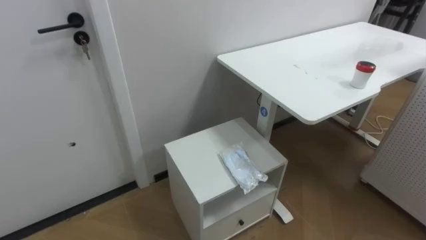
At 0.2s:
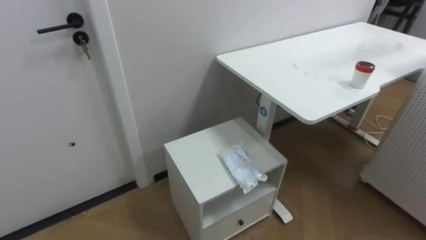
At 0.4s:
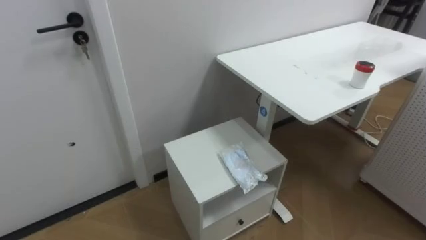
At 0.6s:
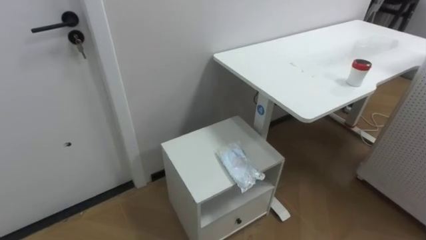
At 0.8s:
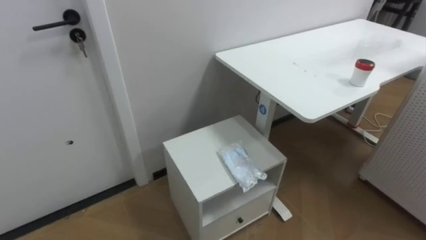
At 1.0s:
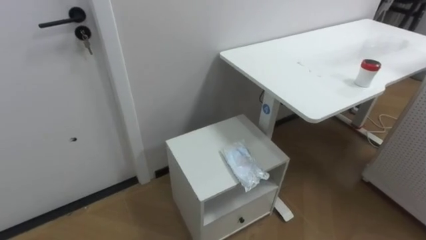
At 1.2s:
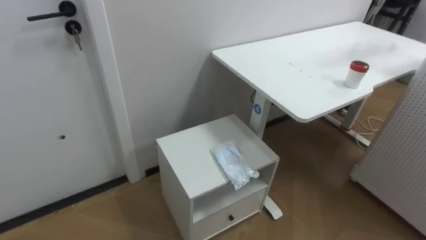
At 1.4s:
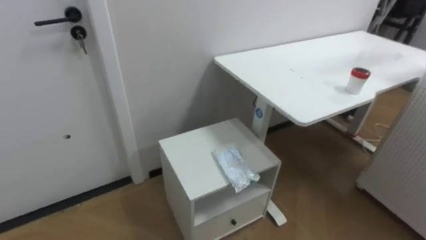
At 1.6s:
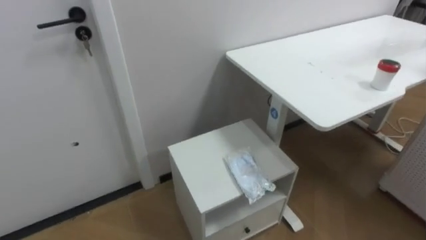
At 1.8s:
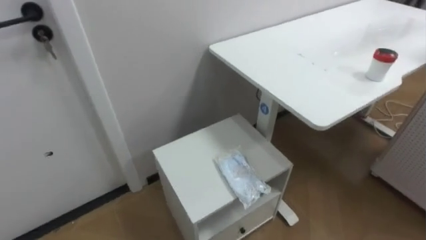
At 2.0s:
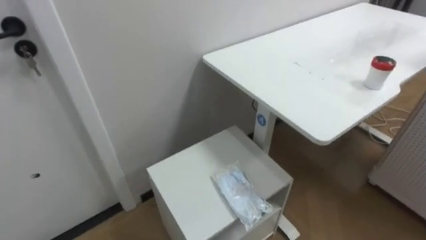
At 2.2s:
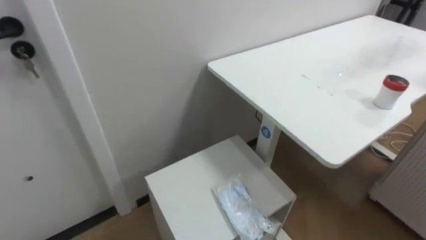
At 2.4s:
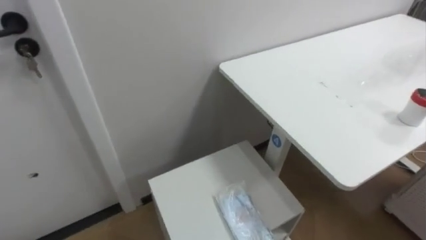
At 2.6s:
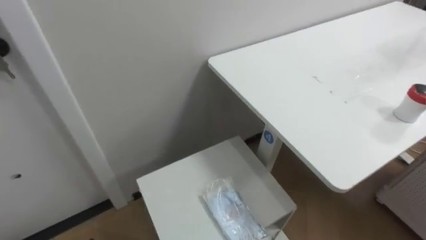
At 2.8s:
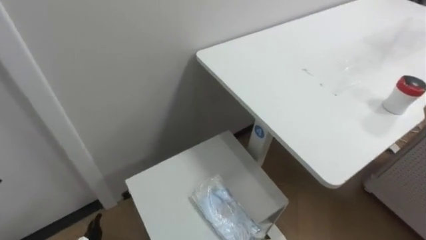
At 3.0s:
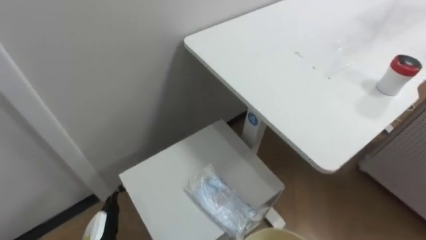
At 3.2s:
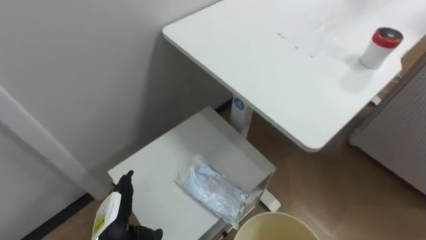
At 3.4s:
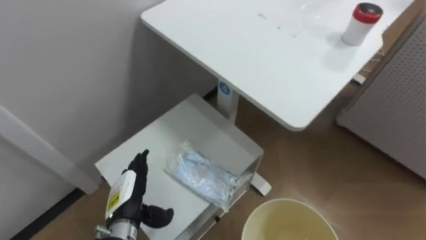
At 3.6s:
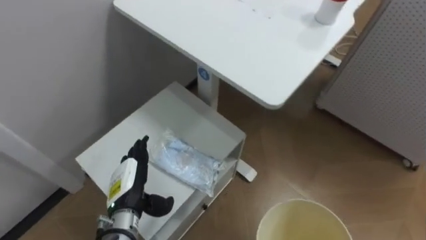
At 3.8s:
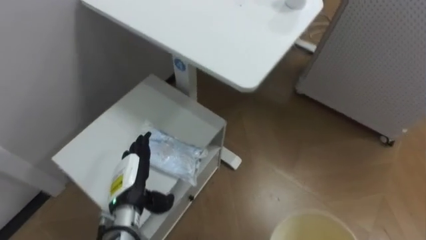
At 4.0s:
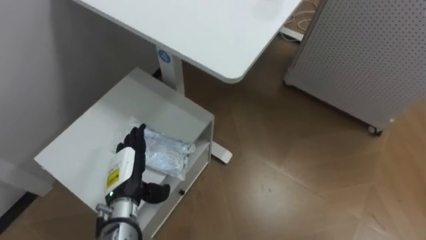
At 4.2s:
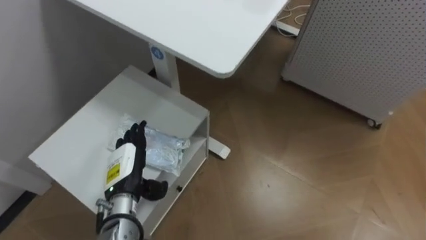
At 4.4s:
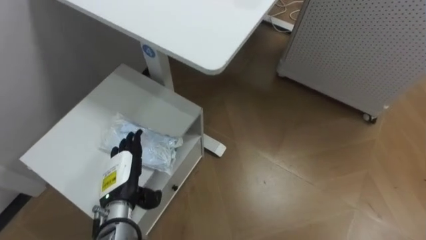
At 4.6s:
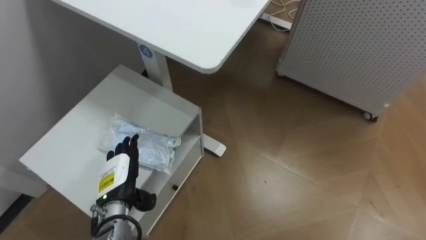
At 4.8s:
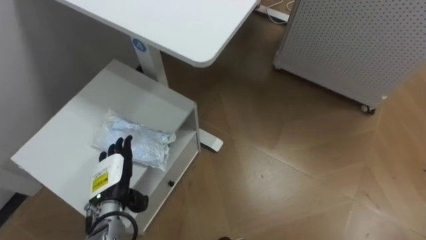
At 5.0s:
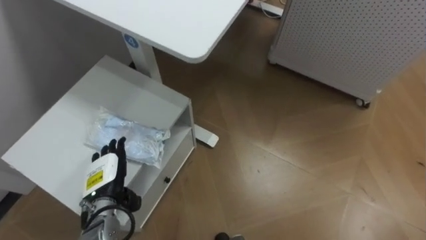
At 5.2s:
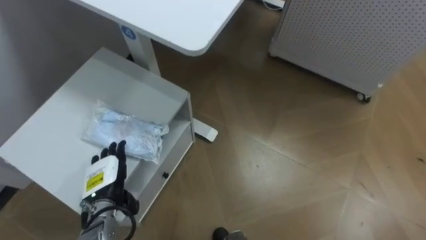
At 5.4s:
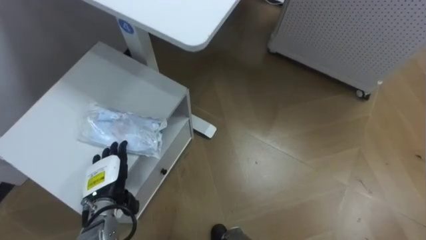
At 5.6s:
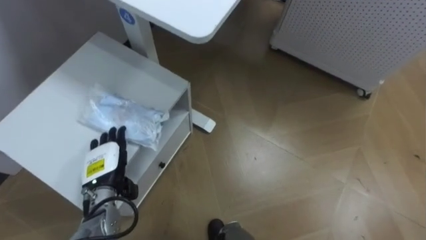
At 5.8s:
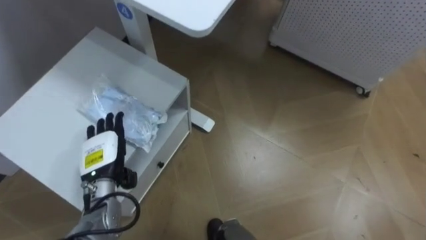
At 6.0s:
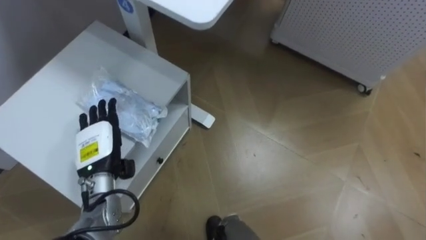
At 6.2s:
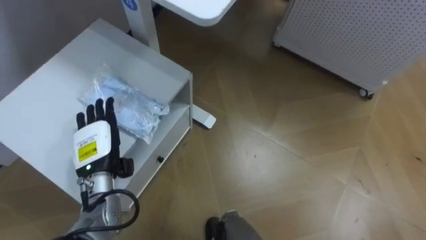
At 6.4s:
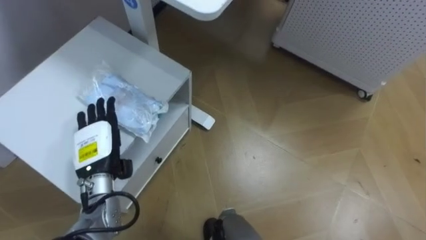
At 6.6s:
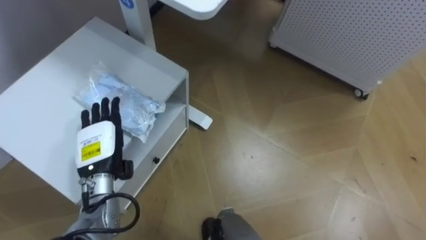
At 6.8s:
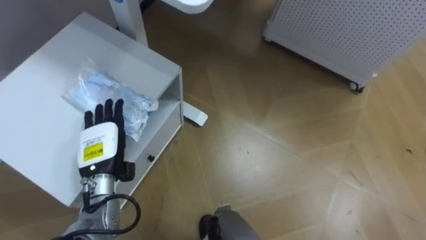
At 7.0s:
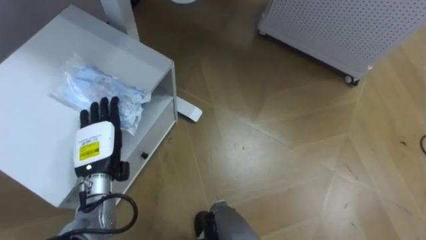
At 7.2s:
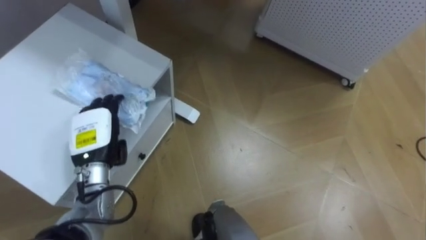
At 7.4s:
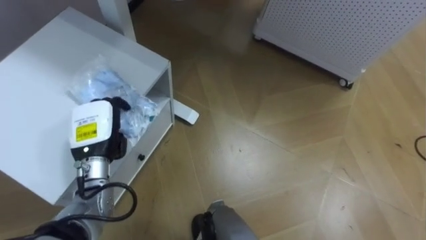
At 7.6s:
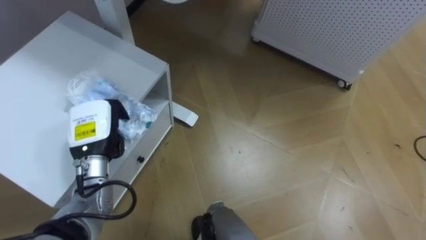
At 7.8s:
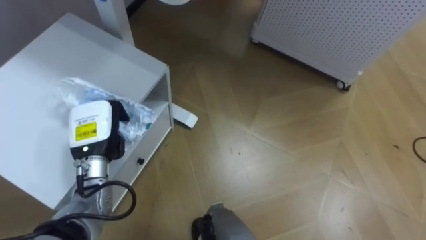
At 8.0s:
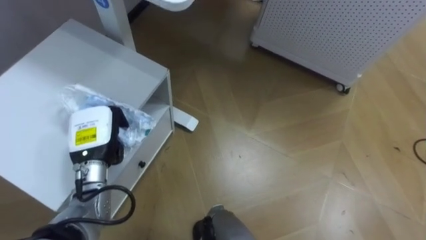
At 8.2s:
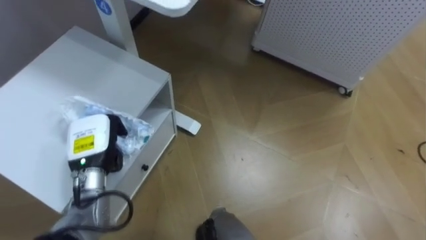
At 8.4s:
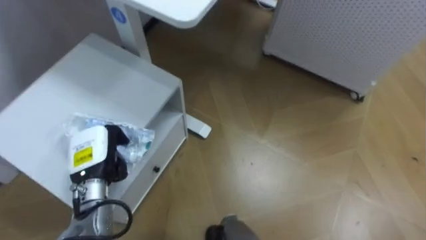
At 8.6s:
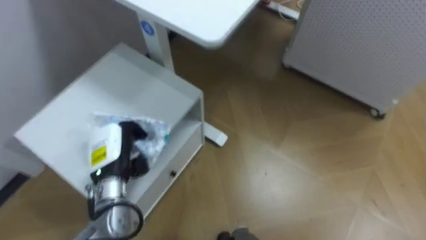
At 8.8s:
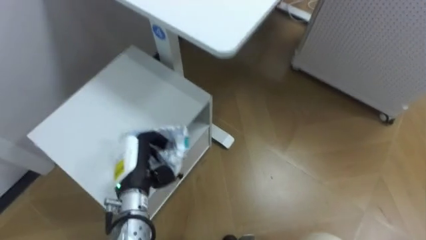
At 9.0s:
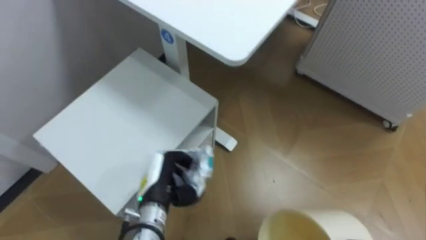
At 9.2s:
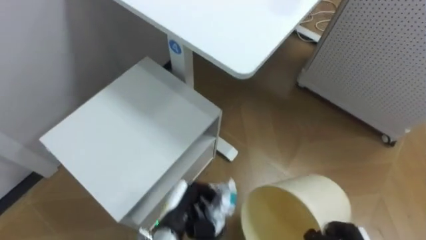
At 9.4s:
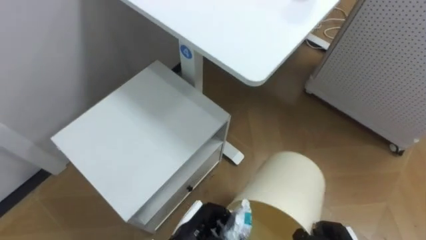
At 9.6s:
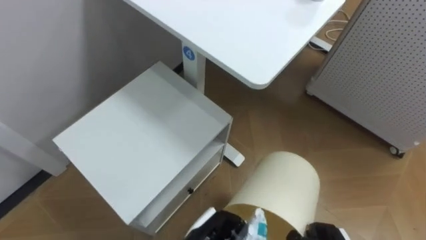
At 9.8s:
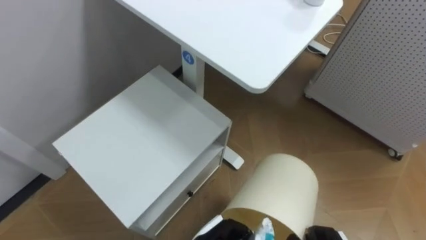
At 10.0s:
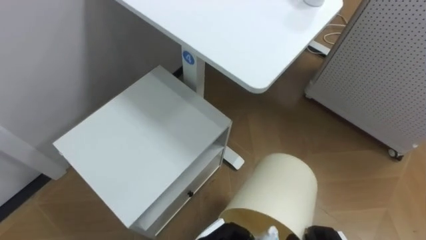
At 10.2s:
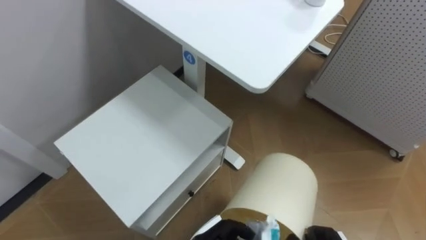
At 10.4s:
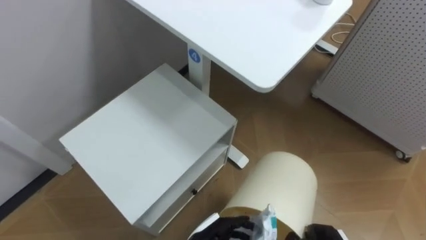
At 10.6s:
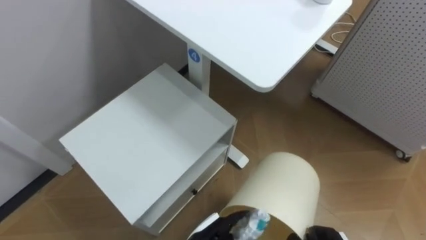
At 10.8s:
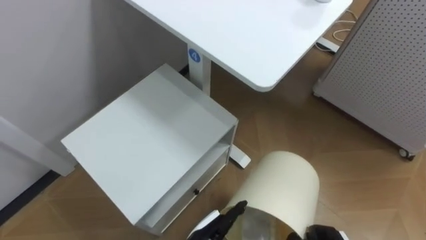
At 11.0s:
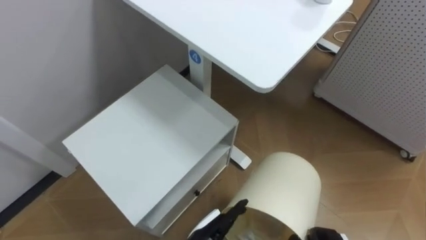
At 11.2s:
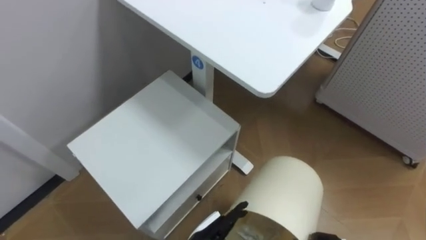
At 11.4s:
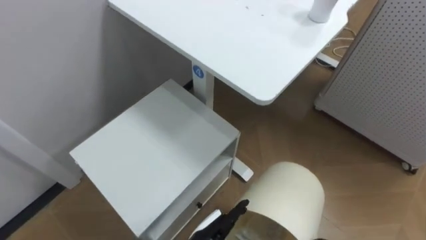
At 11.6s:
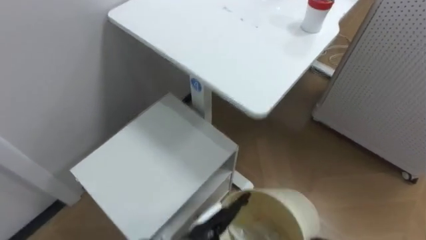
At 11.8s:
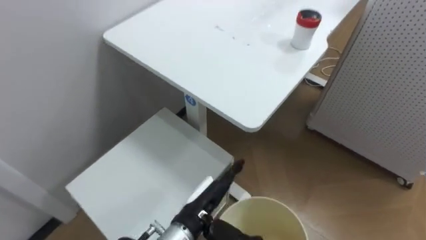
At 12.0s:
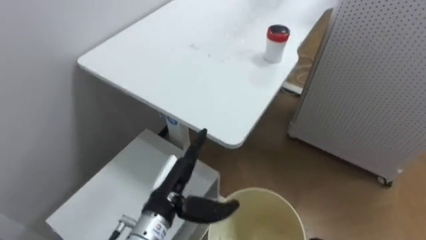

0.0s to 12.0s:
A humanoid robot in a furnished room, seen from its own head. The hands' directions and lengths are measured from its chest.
Task of the whole recording: Pick up the light blue package, the candy box, and the dark blue package separately, and put them into the trash can held in your right hand.
4.4s to 6.0s: The left hand moves upward, some 5 cm.
6.0s to 7.6s: The left hand closes.
7.6s to 9.0s: The left hand travels to the right, downward and backward by approximately 15 cm.
10.4s to 12.0s: The left hand travels upward and to the left by approximately 15 cm.

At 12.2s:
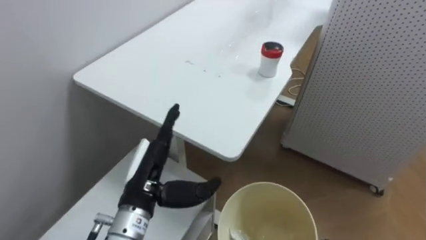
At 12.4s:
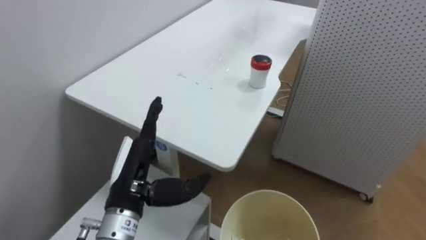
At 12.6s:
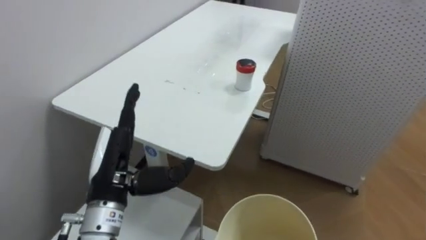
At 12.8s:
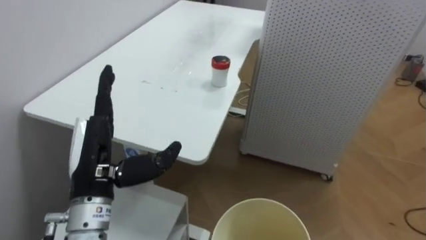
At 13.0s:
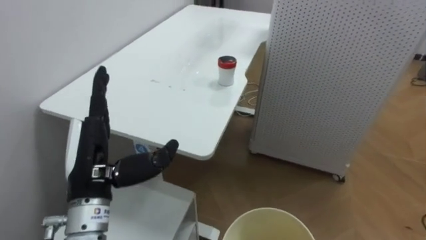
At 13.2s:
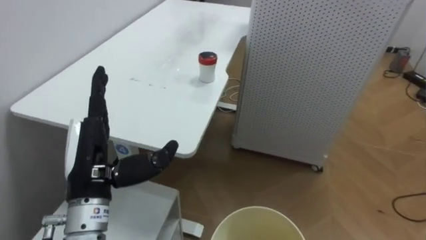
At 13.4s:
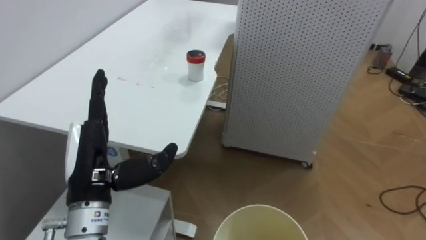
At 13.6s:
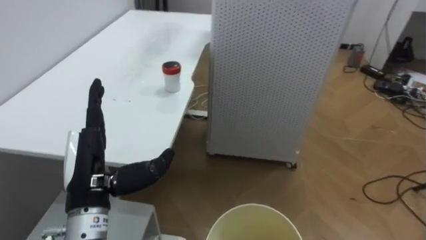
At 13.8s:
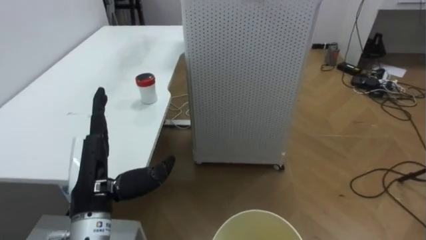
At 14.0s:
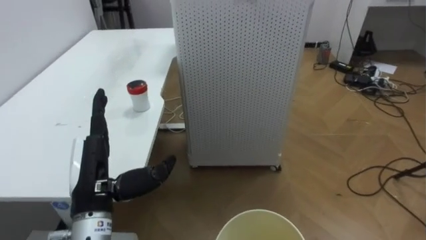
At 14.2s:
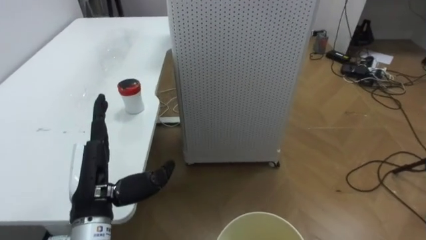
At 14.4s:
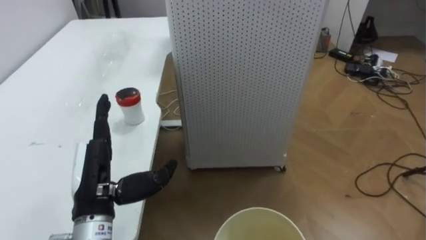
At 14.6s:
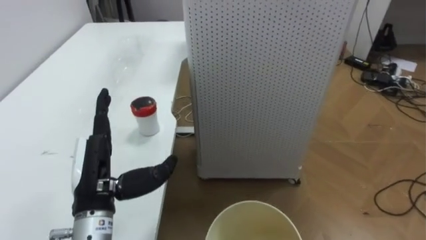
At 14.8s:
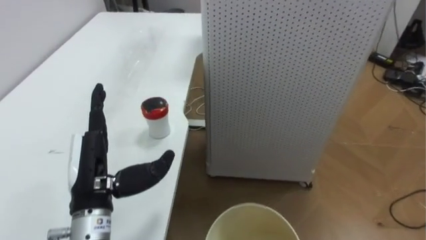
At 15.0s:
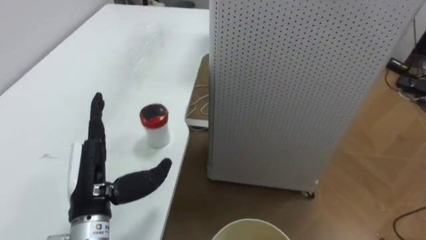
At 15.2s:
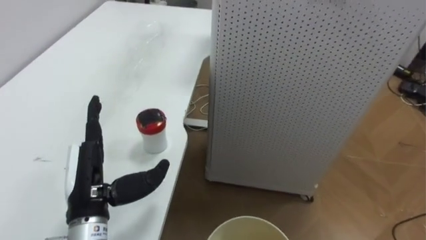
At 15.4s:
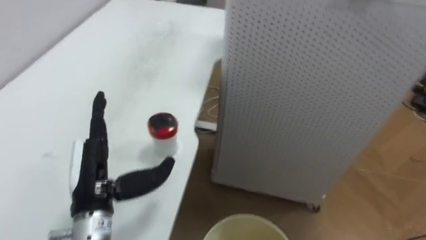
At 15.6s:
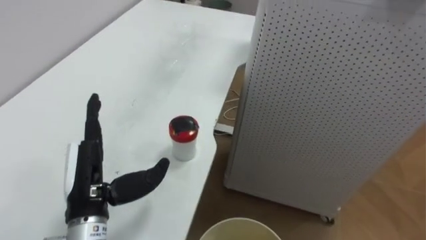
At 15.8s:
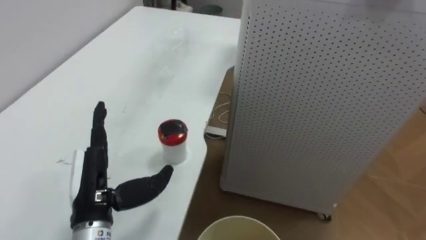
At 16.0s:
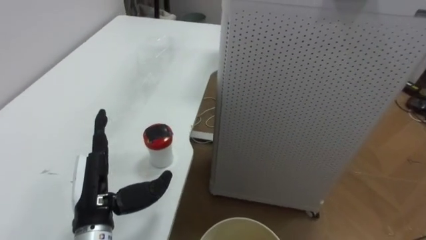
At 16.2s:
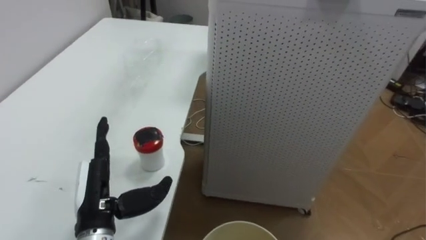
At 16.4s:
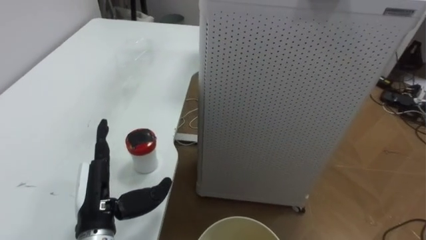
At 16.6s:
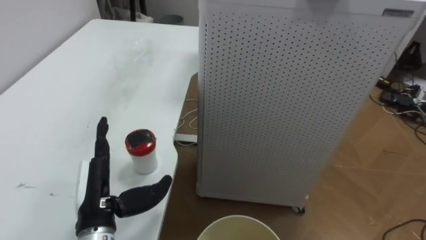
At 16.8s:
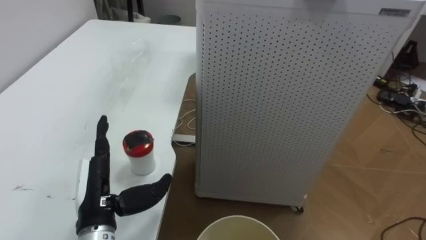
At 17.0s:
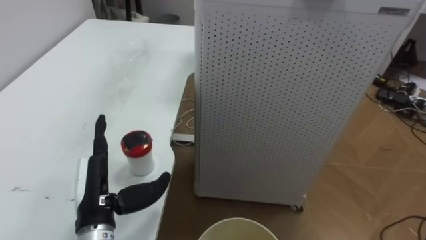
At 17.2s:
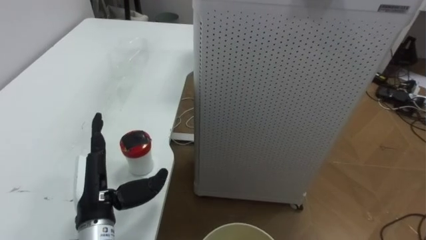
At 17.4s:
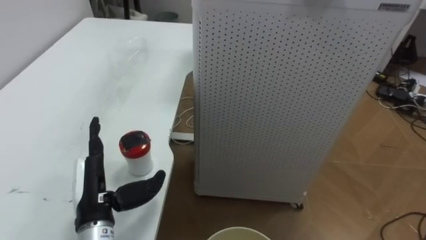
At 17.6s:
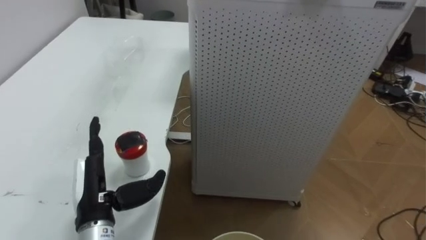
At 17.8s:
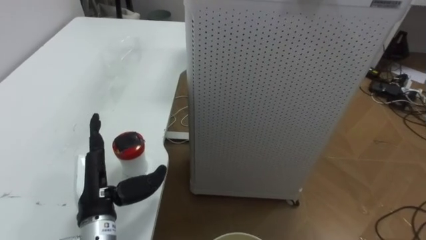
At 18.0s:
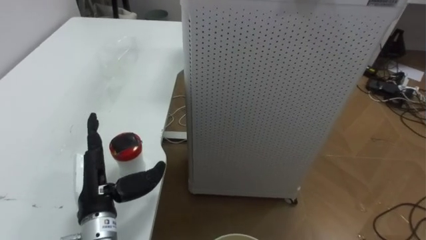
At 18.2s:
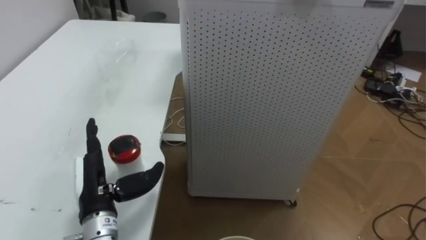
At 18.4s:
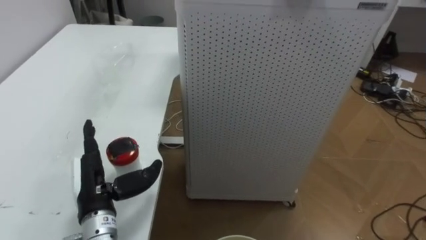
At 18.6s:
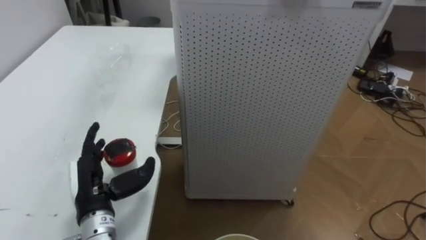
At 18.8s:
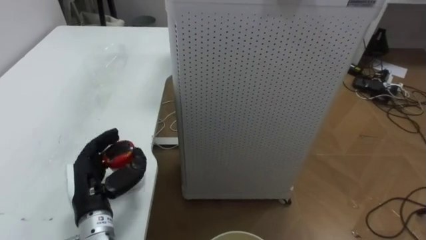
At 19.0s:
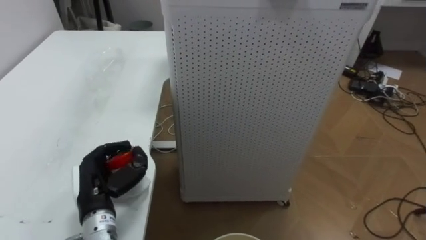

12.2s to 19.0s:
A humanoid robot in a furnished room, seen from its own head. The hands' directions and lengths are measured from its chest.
Task of the whole recording: Pick up the light blue package, the candy box, and the dark blue package separately, and put them into the trash can held in your right hand.
12.2s to 13.6s: The robot rotates some 25 degrees to its right. The left hand moves to the left, roughly 10 cm.
17.6s to 19.0s: The left hand closes its fingers.
